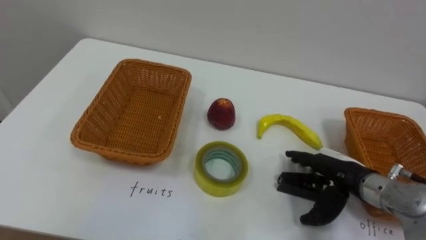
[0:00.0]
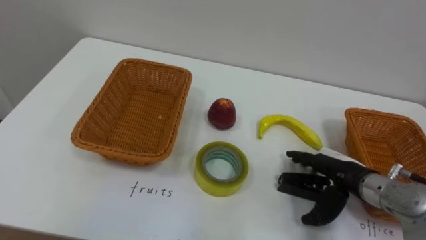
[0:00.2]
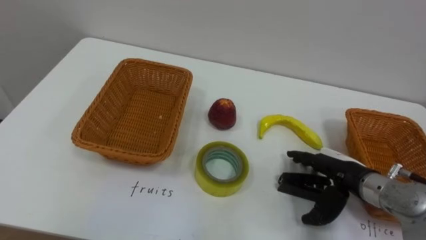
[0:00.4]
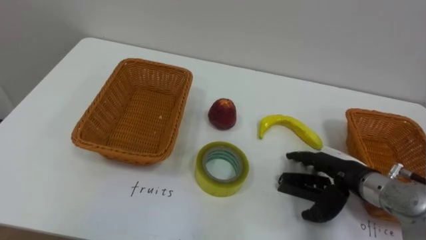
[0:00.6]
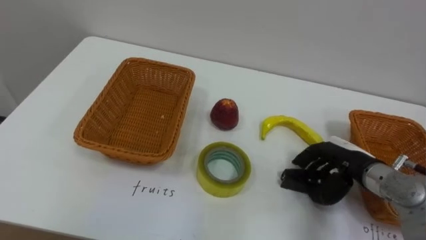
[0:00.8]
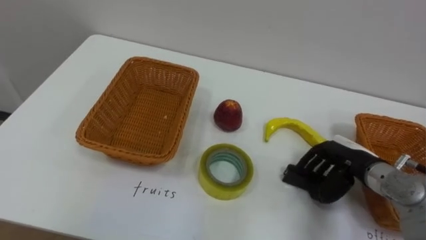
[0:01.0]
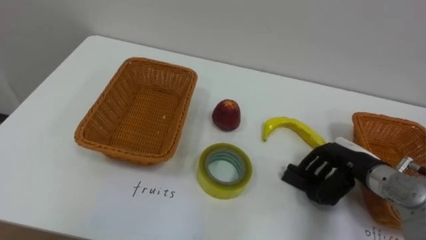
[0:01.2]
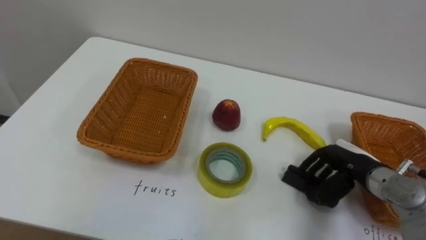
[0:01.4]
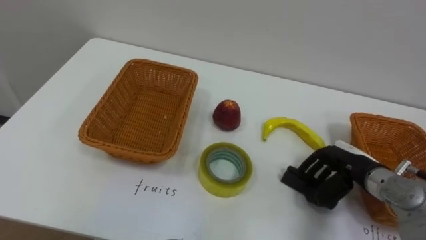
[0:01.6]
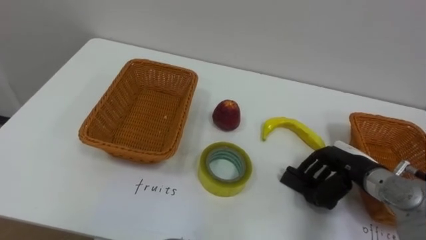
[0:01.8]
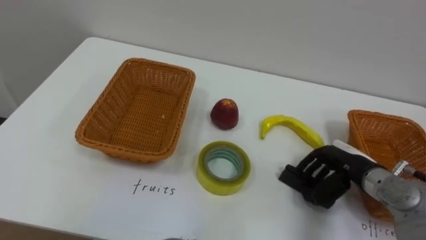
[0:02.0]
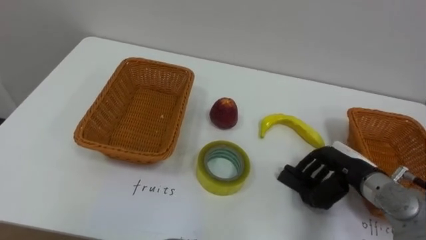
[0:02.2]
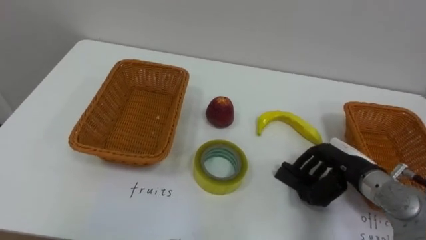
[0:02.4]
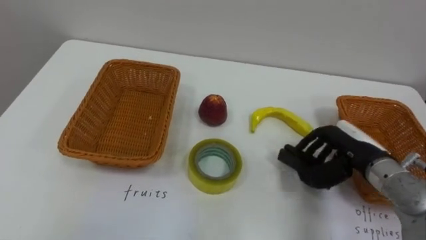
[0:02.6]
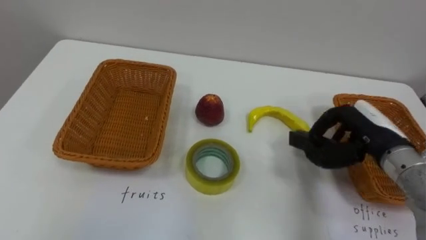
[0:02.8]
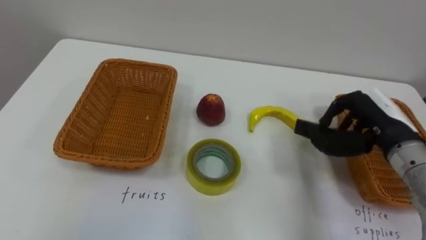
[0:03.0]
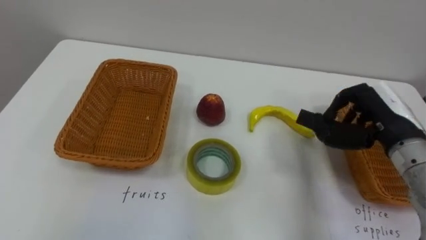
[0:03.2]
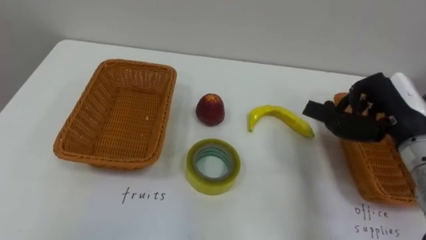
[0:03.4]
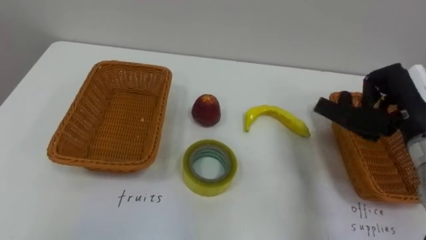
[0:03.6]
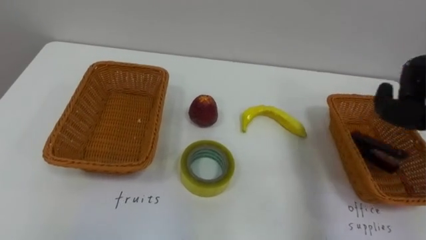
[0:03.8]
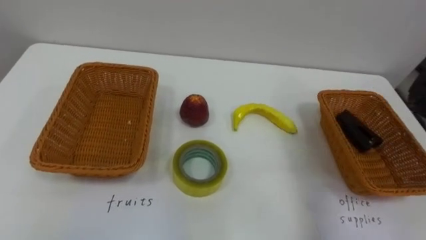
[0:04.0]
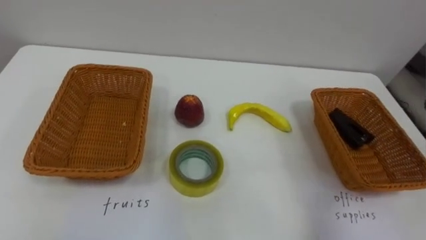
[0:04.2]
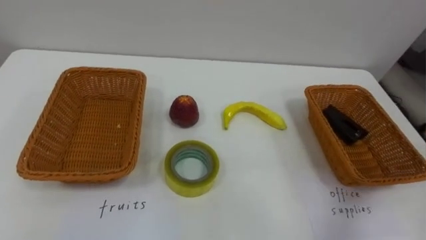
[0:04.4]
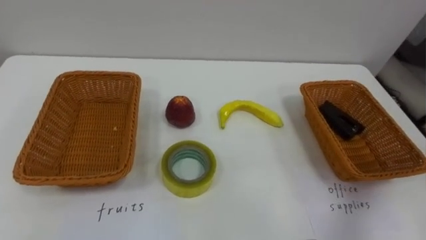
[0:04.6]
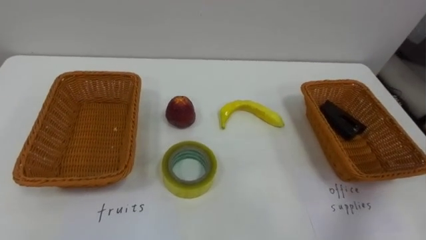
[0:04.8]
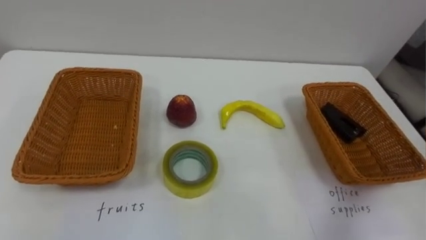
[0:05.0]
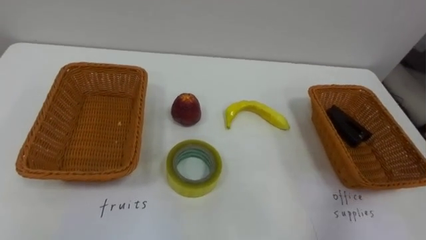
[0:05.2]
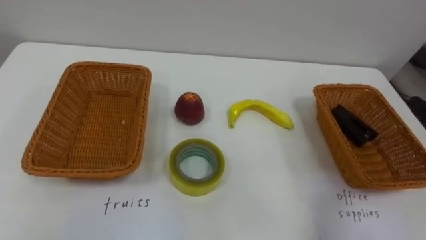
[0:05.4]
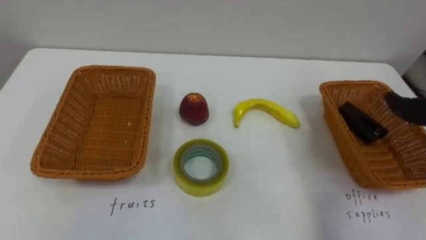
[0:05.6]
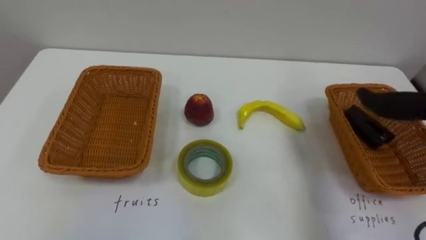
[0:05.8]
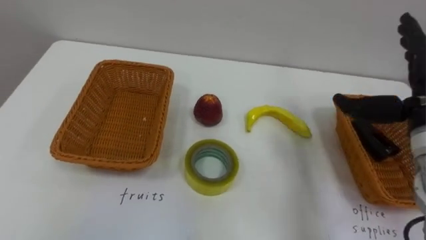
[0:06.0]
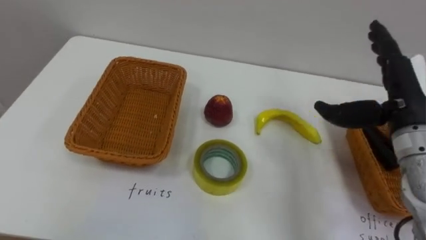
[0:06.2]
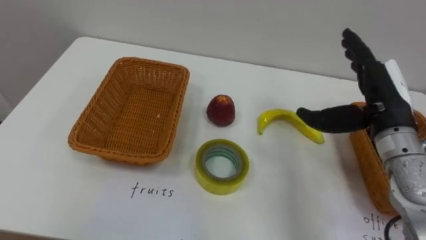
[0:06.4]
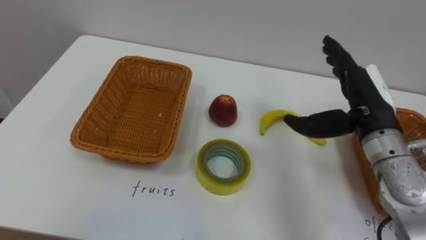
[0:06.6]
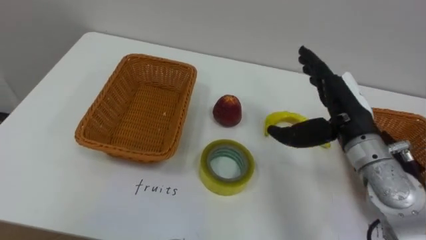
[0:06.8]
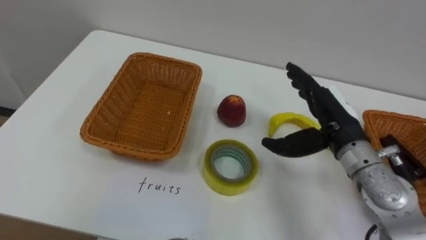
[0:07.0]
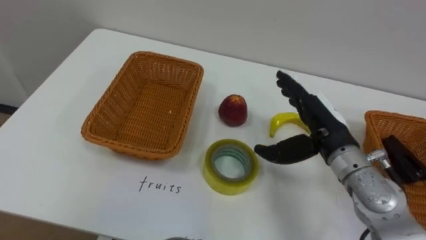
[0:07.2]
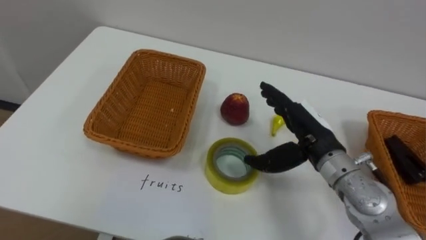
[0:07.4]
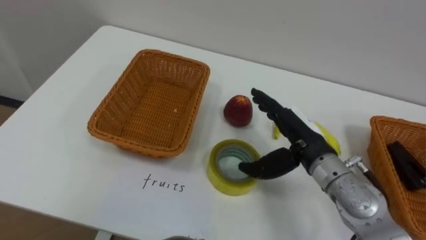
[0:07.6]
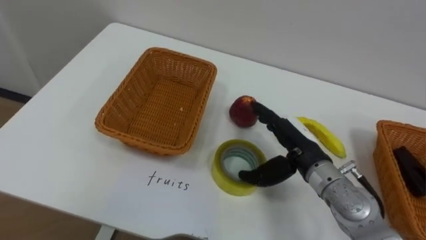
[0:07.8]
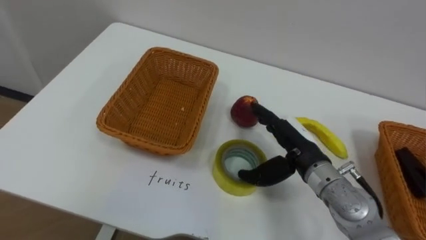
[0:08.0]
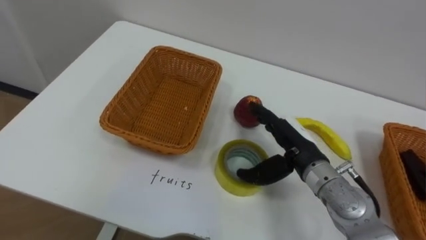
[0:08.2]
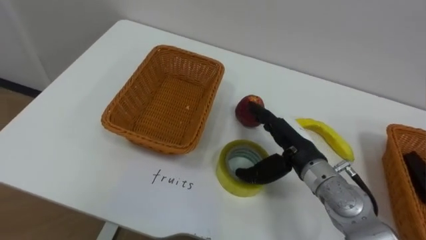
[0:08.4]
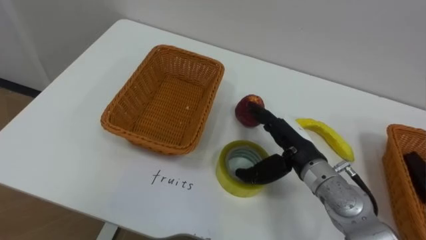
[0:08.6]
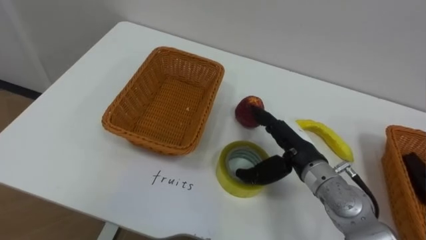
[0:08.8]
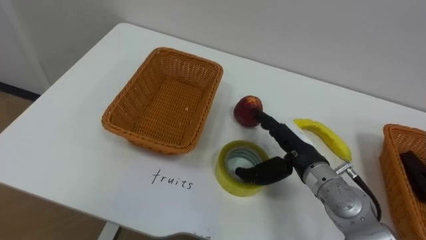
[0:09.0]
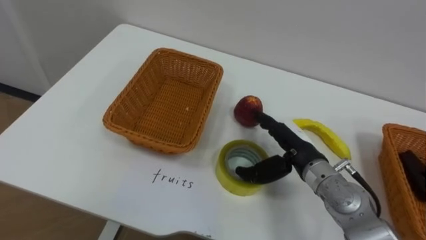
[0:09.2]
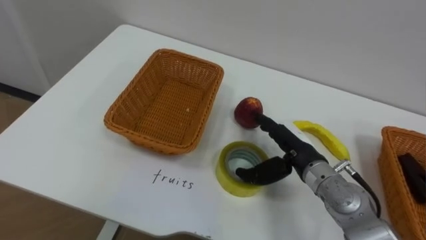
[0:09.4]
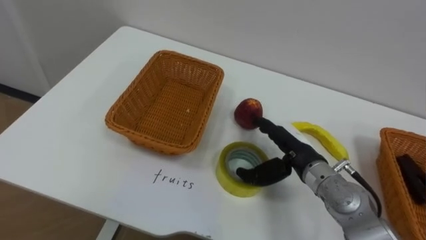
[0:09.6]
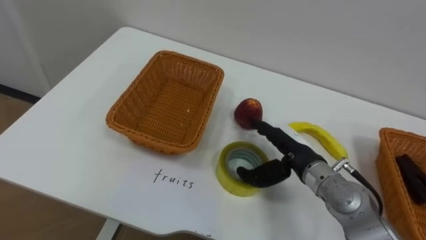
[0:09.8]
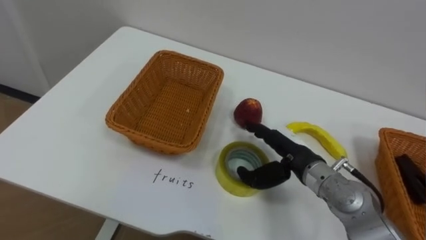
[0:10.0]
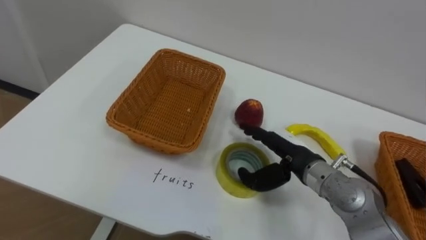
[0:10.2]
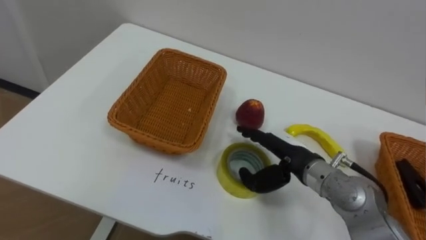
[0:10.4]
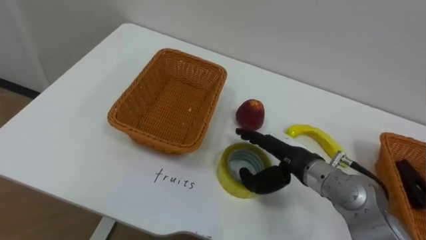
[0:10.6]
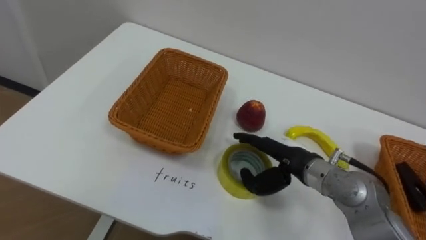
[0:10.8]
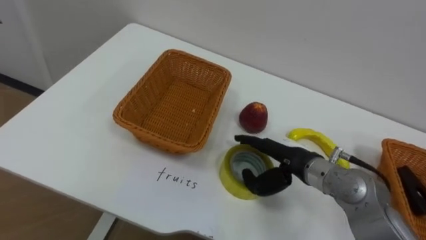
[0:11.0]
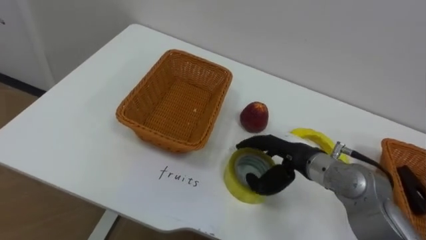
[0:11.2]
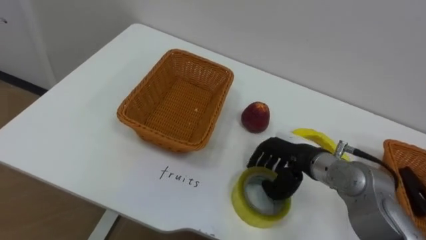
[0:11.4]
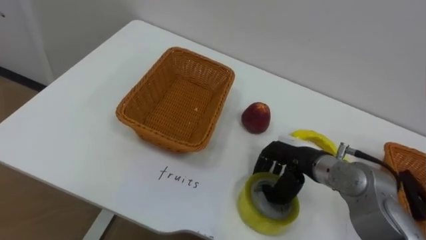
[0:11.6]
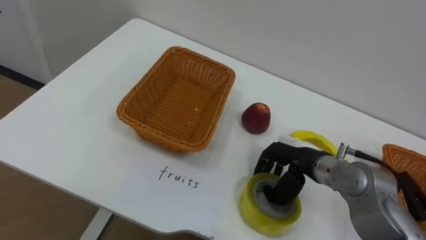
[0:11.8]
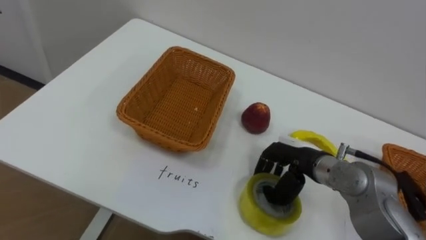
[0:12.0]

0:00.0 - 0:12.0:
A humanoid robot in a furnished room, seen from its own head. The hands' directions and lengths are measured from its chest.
Task of the whole recording: Separate the items on the table and place them into the two baskets.
0:00.0 - 0:01.6: The right hand closes.
0:01.6 - 0:03.0: The right hand moves upward, some 10 cm.
0:06.0 - 0:07.6: The right hand moves to the left and downward, approximately 20 cm.
0:10.4 - 0:12.0: The right hand closes its fingers.

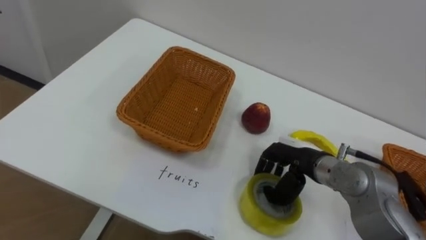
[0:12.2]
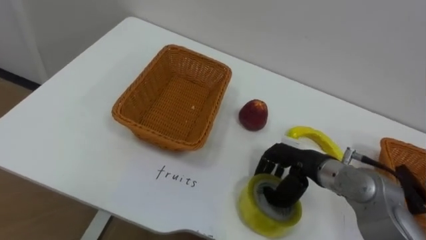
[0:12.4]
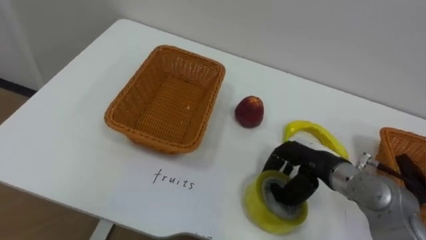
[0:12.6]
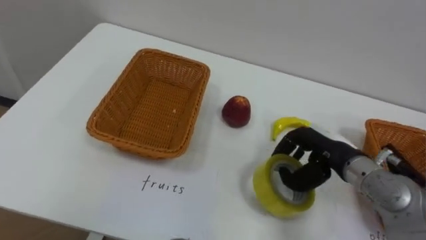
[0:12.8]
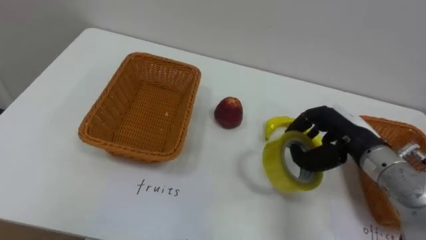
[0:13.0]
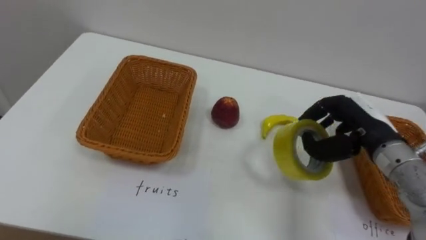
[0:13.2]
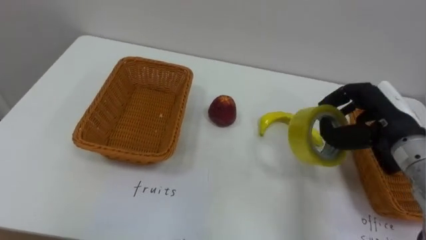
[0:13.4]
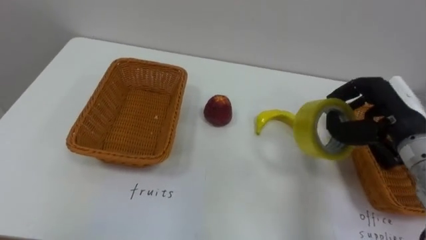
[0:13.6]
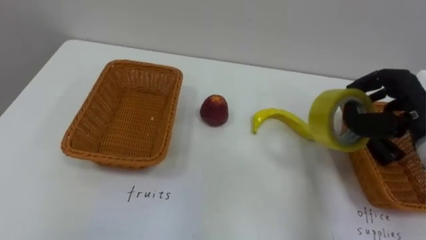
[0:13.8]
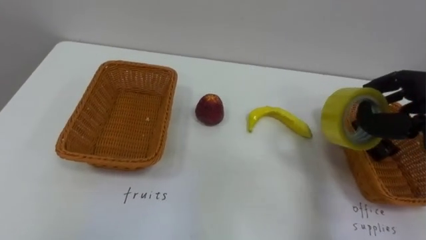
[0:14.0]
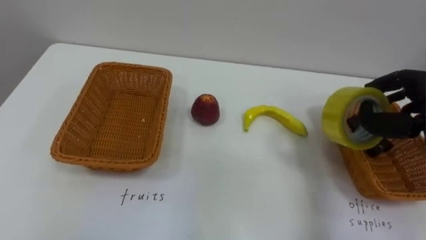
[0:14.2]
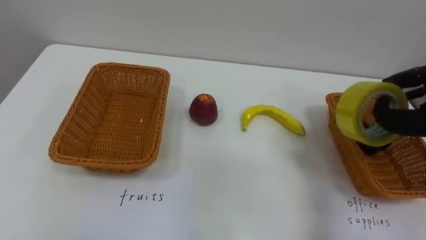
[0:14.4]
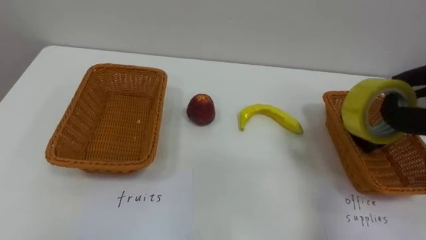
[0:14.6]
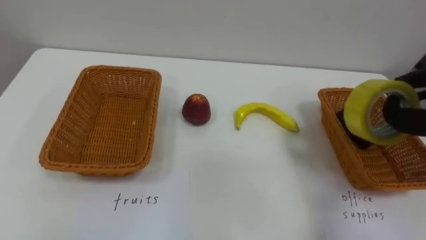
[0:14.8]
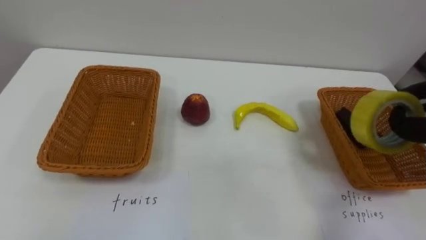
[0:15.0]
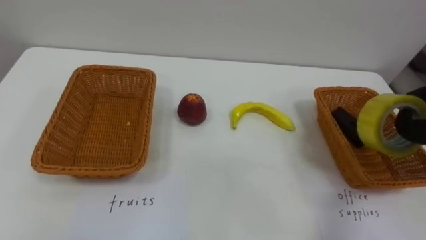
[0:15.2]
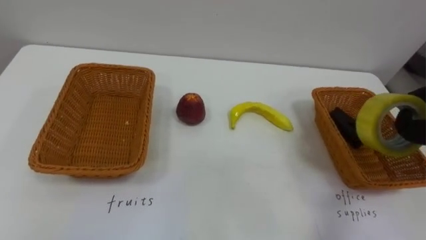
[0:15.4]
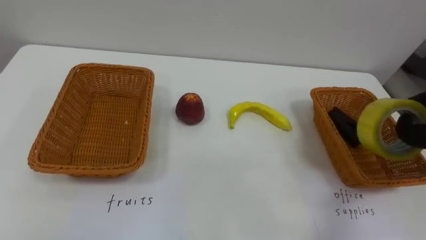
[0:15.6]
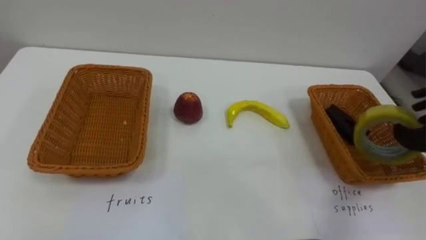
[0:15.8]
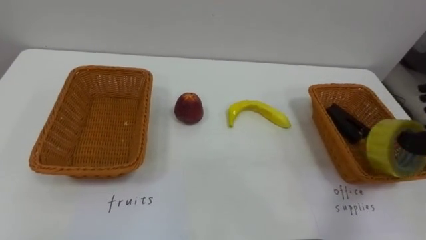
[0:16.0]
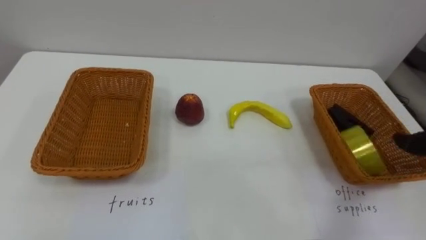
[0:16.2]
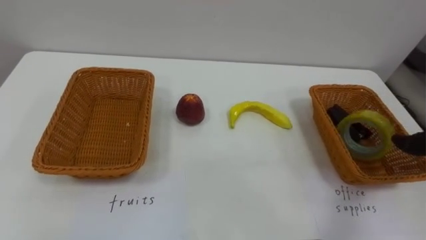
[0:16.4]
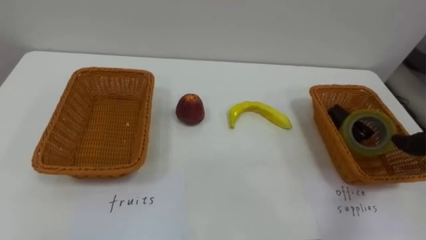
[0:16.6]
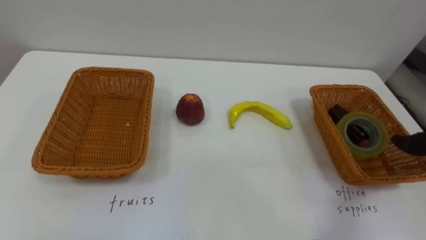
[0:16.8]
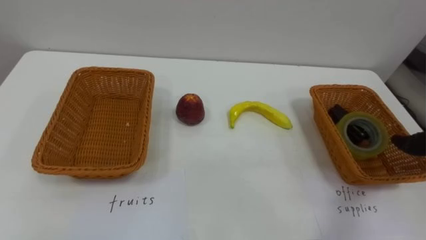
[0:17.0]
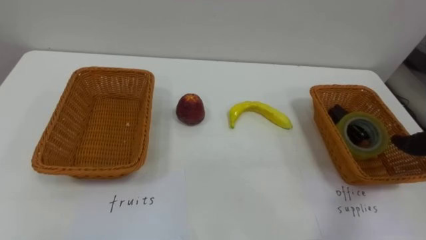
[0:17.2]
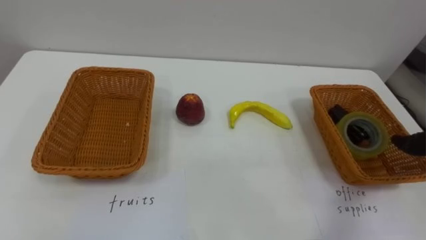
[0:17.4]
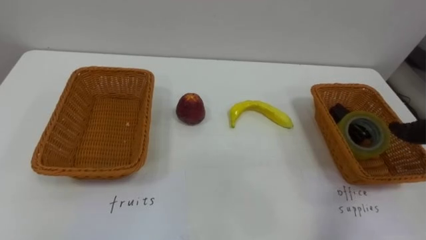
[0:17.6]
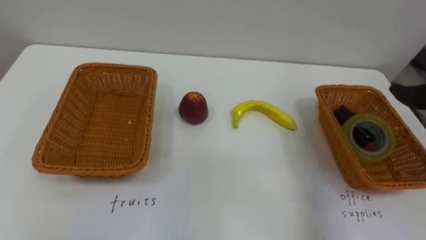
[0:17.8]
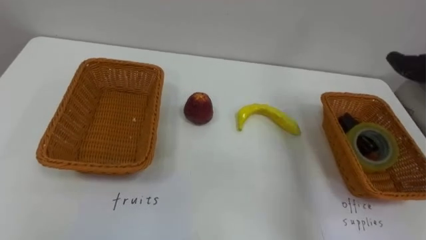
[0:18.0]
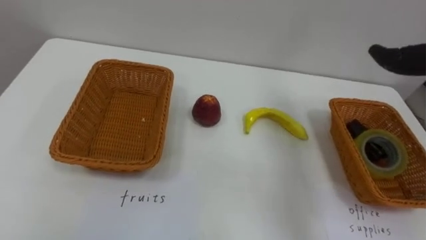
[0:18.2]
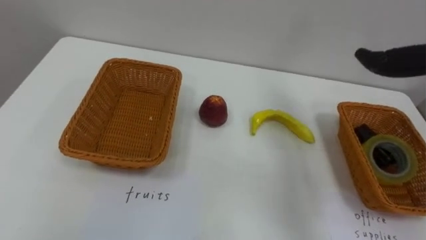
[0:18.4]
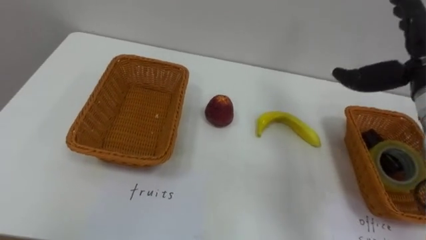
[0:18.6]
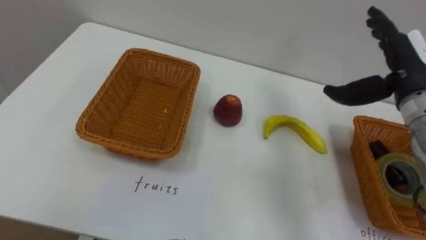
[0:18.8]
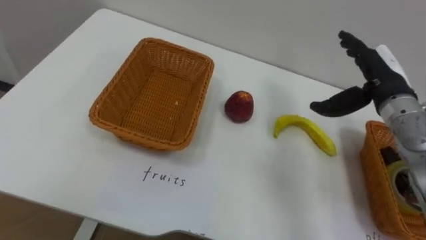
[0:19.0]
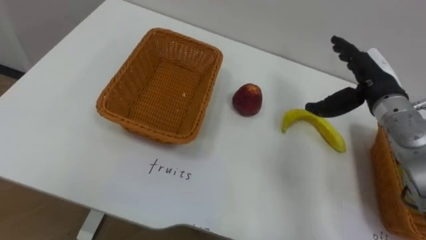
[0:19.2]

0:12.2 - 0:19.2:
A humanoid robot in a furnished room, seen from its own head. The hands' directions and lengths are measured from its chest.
Task of the whole recording: Separate the items on the table and place them into the two baskets.
0:12.2 - 0:13.6: The right hand goes about 15 cm to the right and upward.
